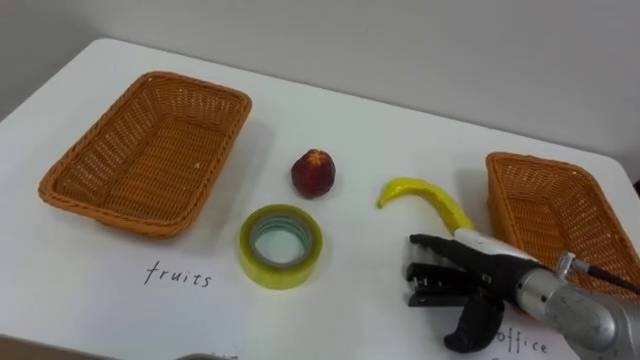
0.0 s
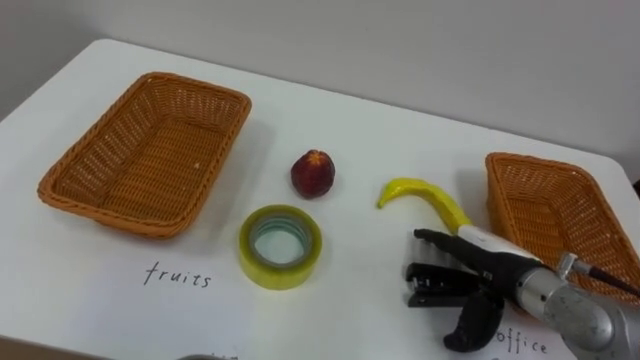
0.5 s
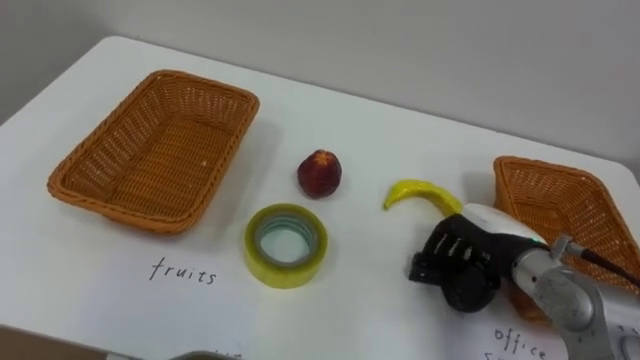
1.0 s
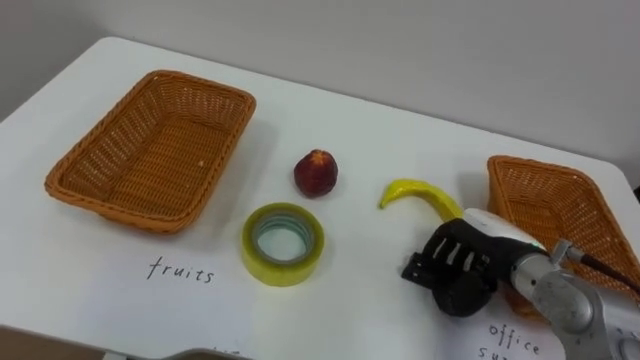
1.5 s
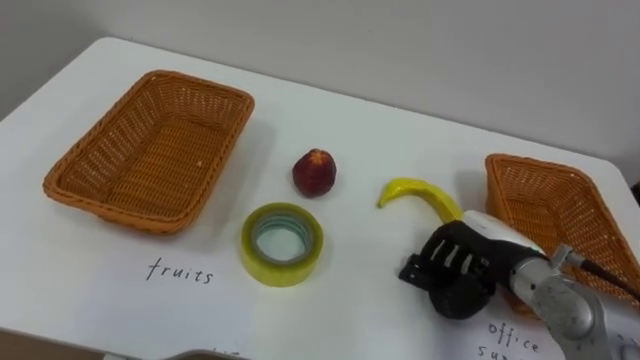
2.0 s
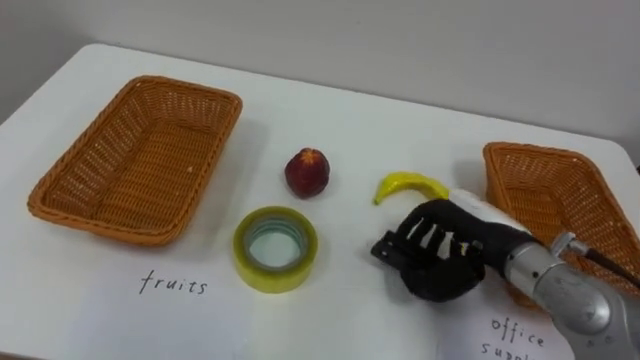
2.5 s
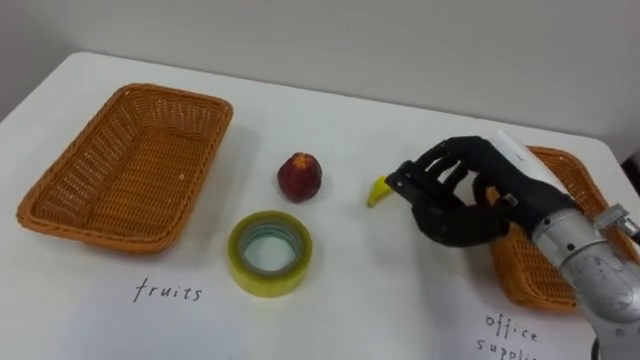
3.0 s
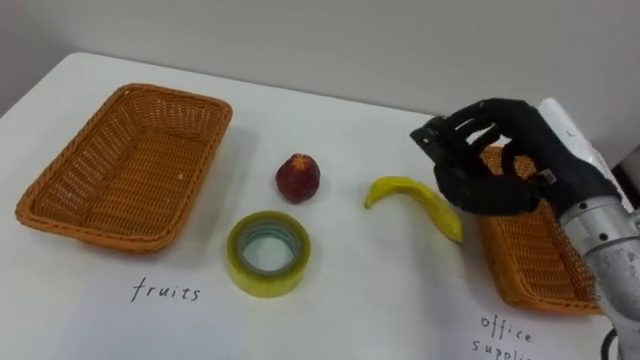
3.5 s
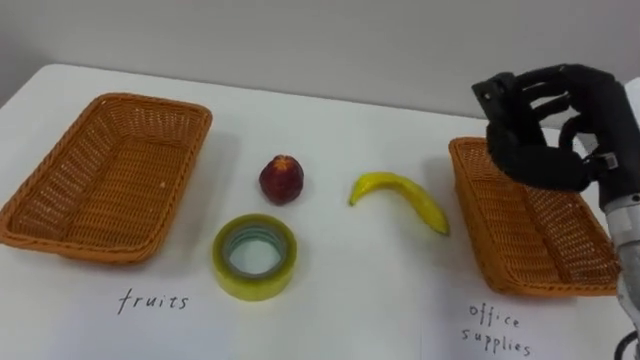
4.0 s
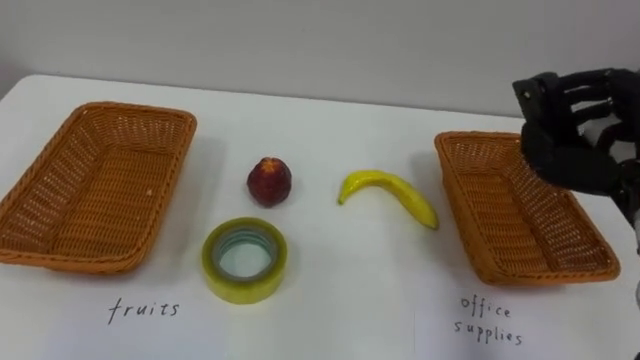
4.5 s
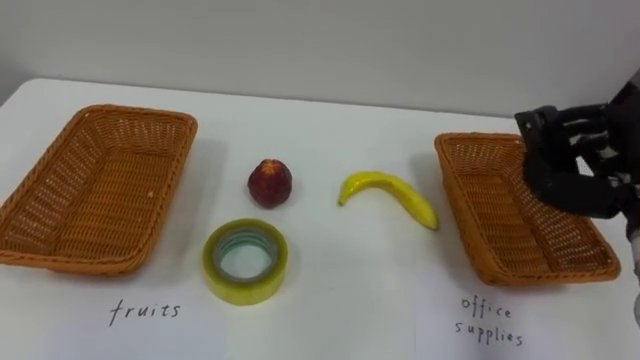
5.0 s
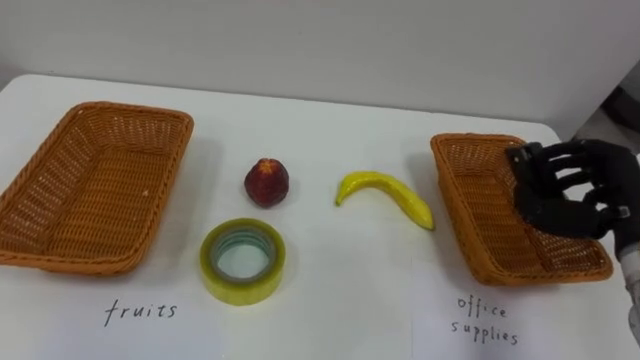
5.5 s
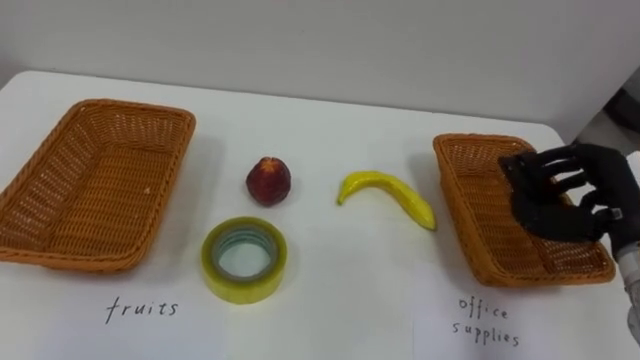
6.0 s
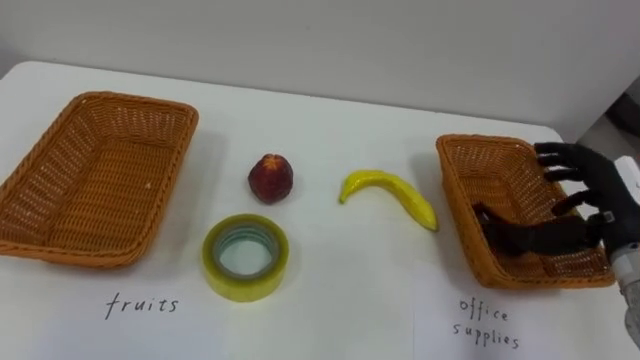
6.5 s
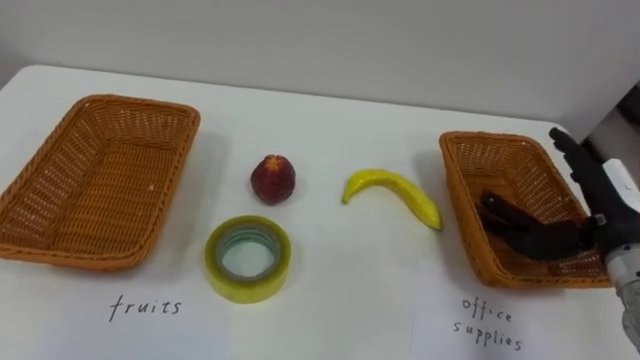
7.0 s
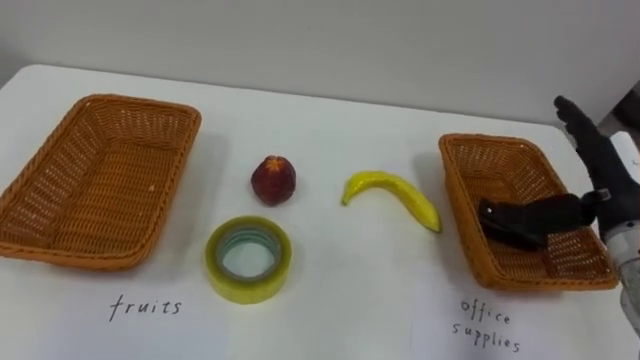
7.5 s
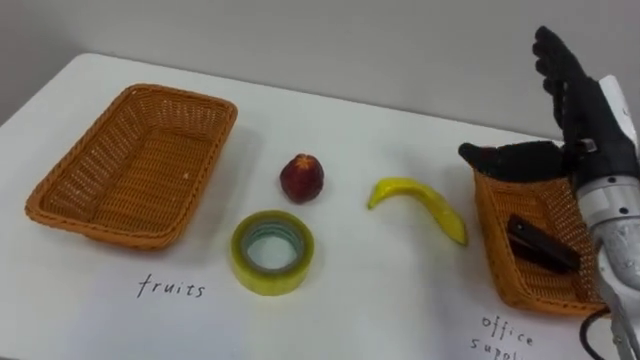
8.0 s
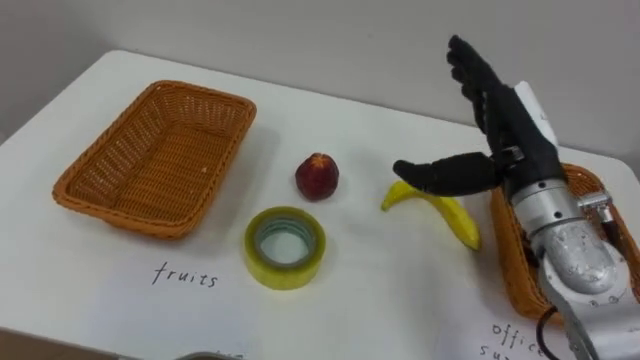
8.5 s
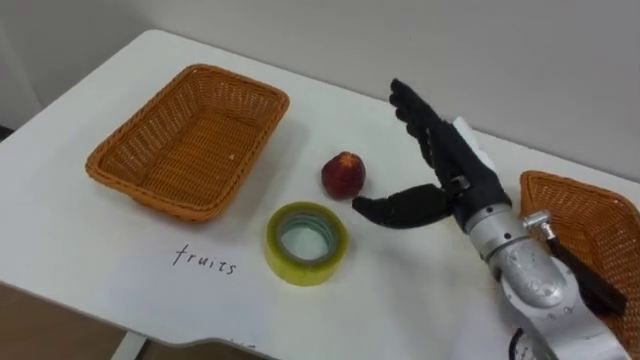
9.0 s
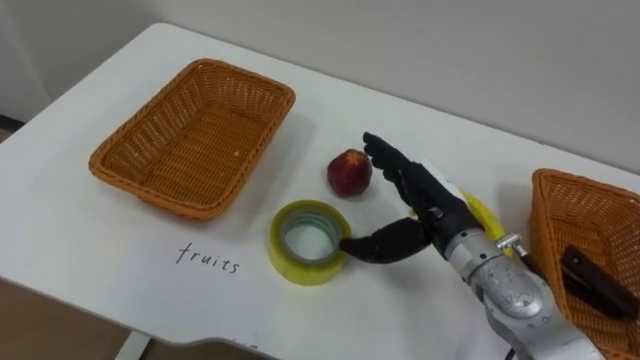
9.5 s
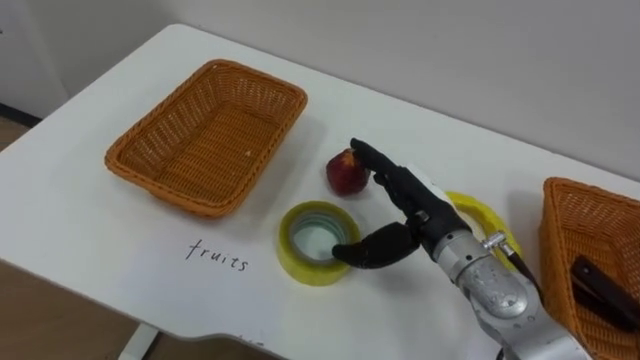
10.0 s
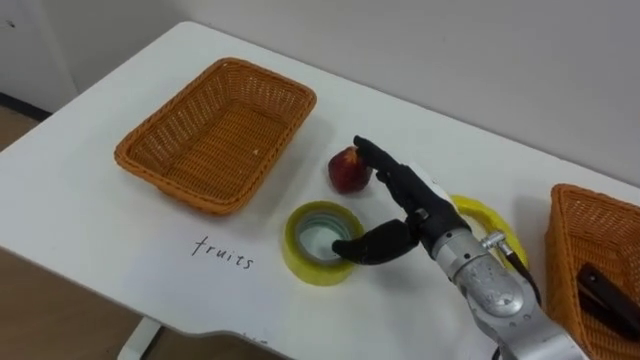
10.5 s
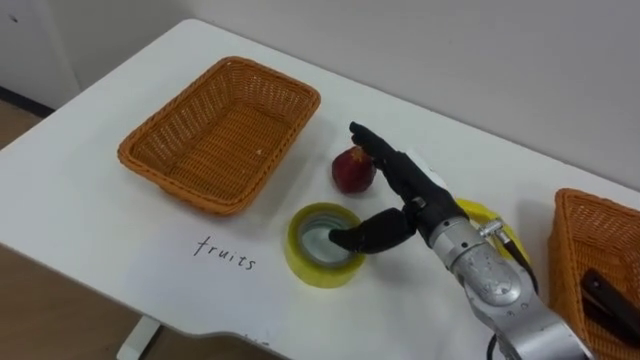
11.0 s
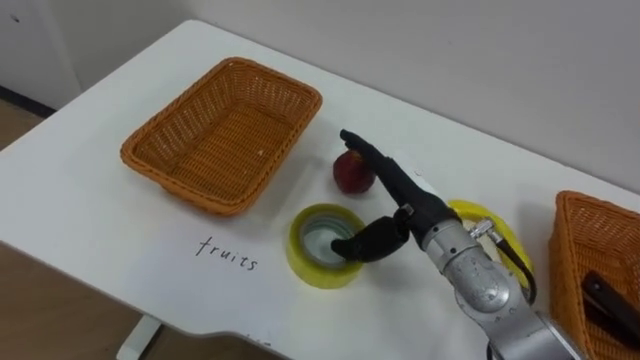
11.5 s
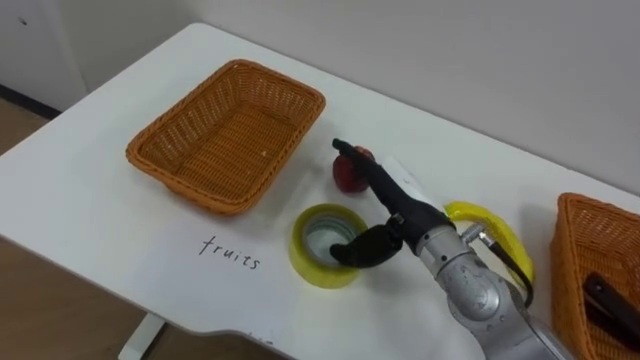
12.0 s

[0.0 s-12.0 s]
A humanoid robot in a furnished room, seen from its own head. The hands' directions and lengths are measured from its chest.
Task of the whole recording: Separate the items on the table and place them into the two baskets.
0.0 to 2.0 s: The right hand closes its fingers.
2.0 to 4.0 s: The right hand shifts roughly 15 cm upward and to the right.
6.0 to 8.0 s: The right hand heads upward and to the left, covering roughly 10 cm, and opens its fingers.
8.0 to 10.0 s: The right hand goes roughly 20 cm to the left and downward.

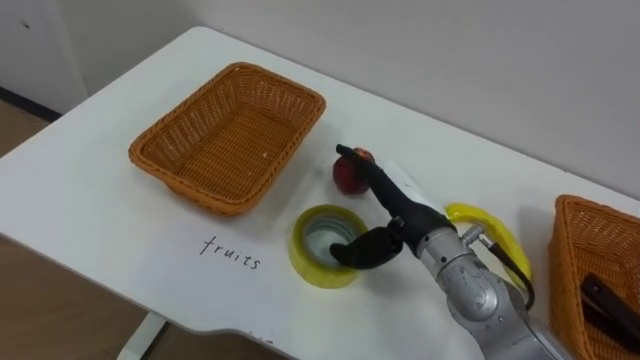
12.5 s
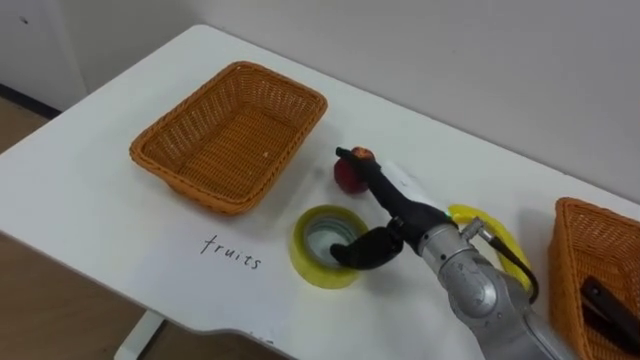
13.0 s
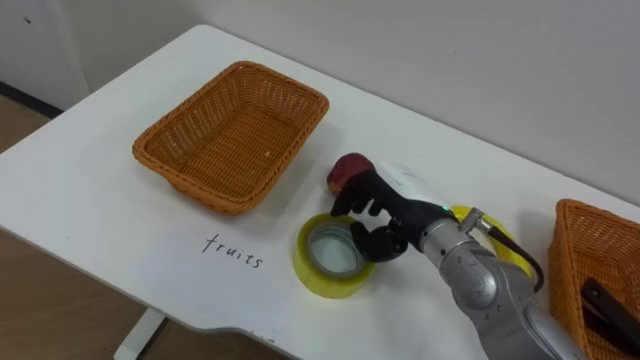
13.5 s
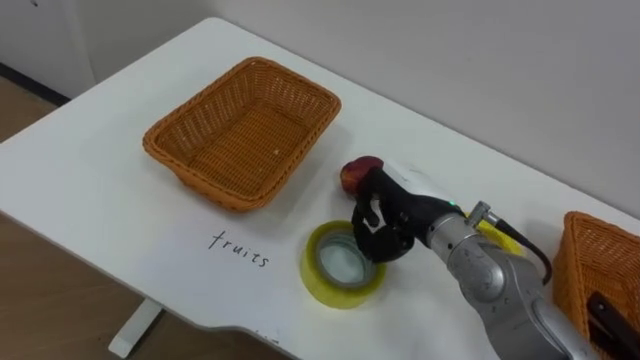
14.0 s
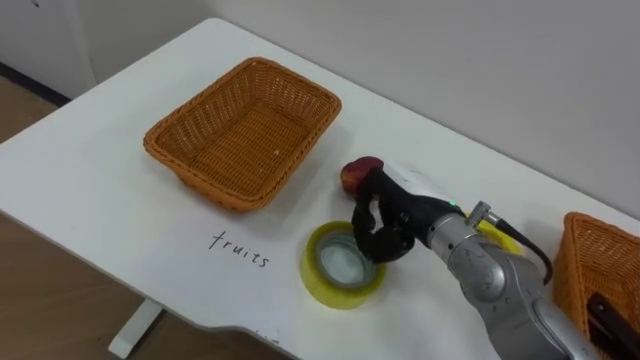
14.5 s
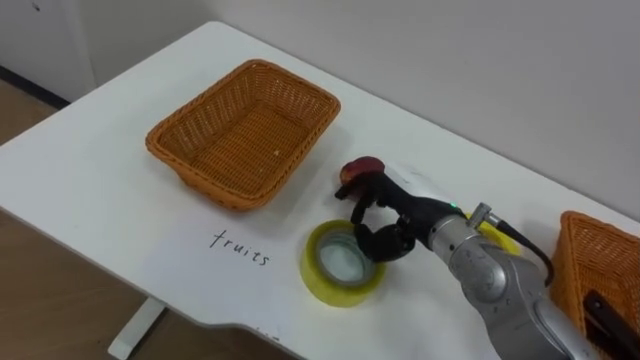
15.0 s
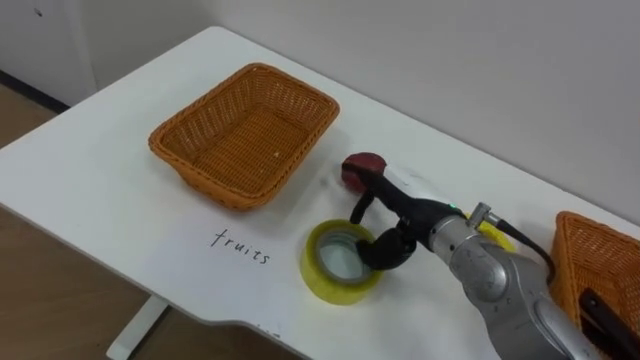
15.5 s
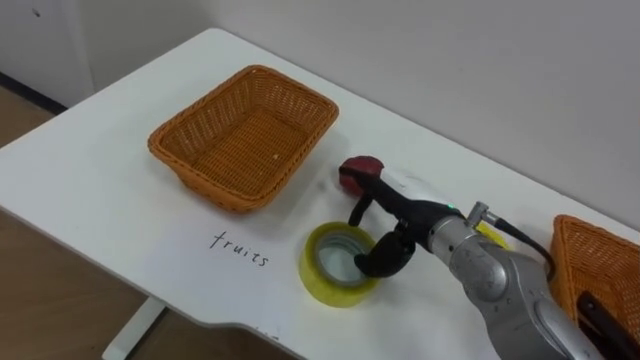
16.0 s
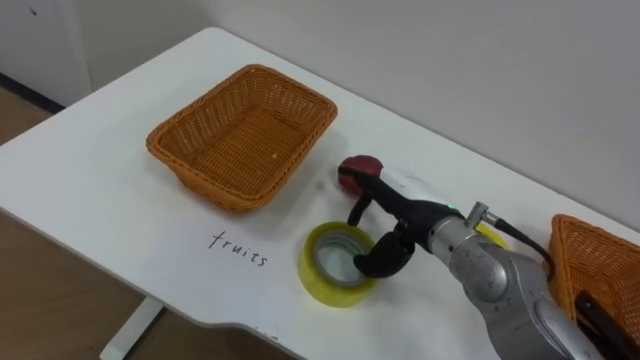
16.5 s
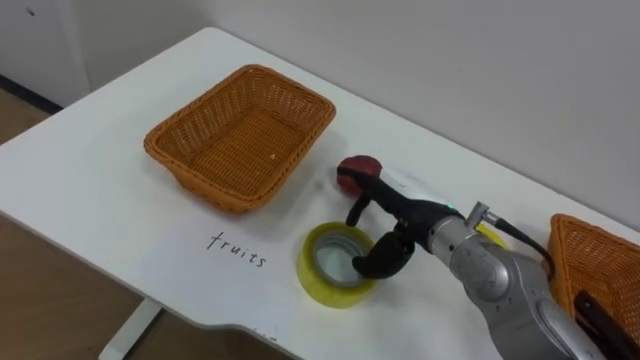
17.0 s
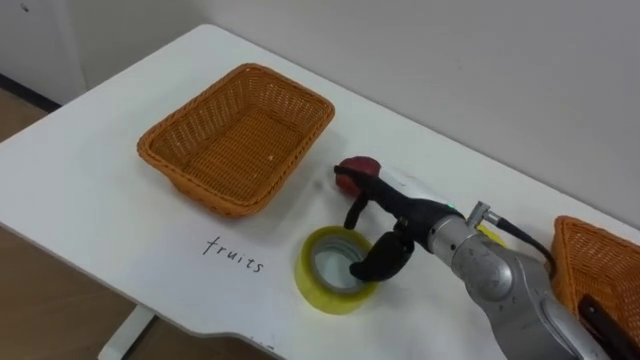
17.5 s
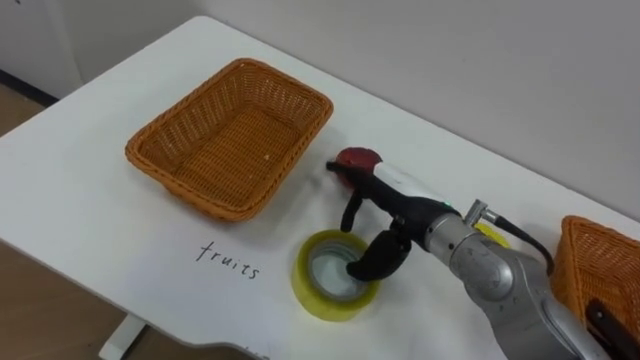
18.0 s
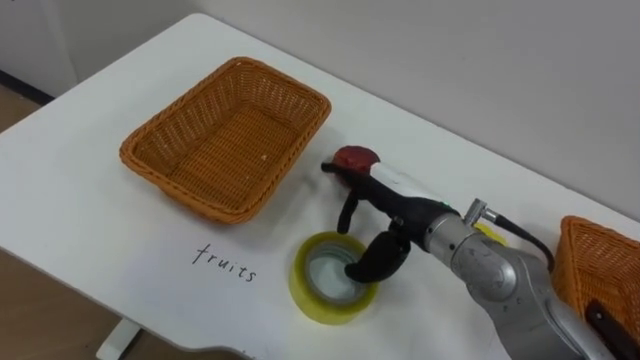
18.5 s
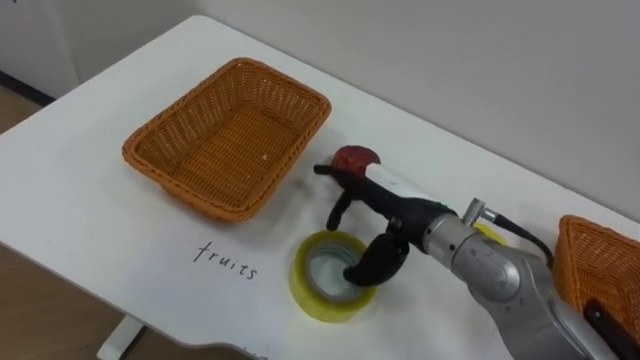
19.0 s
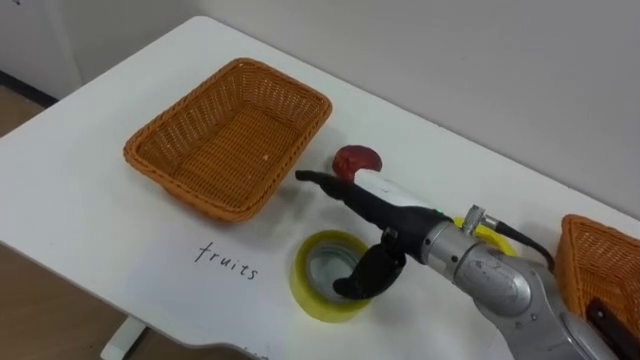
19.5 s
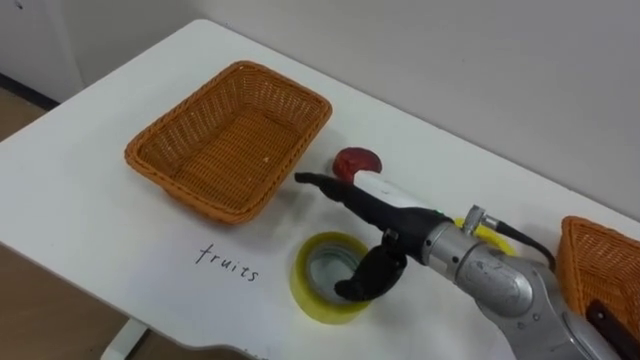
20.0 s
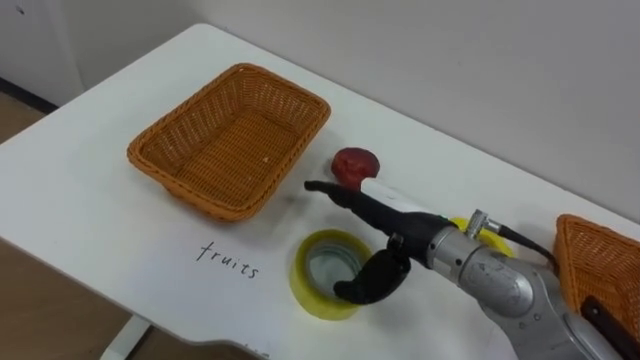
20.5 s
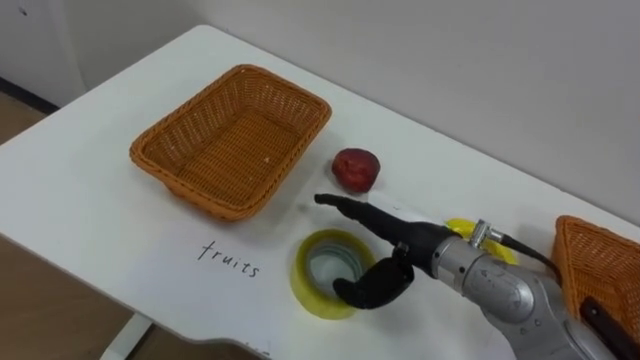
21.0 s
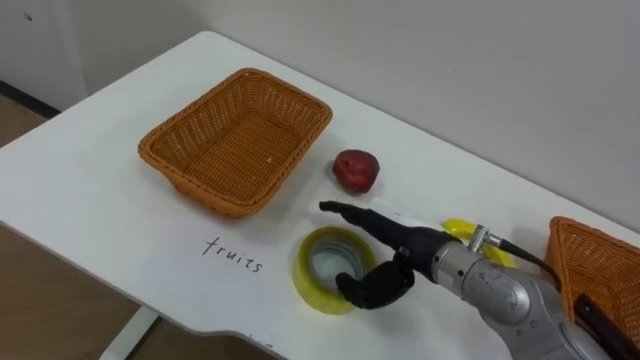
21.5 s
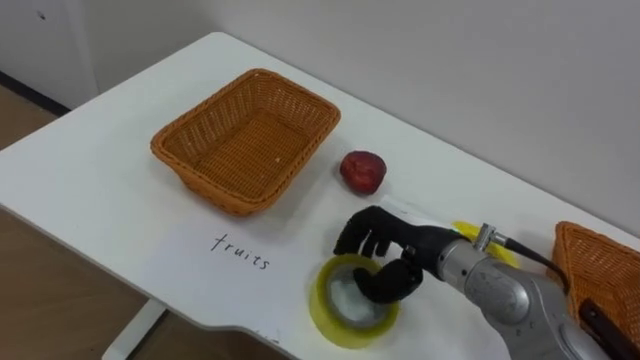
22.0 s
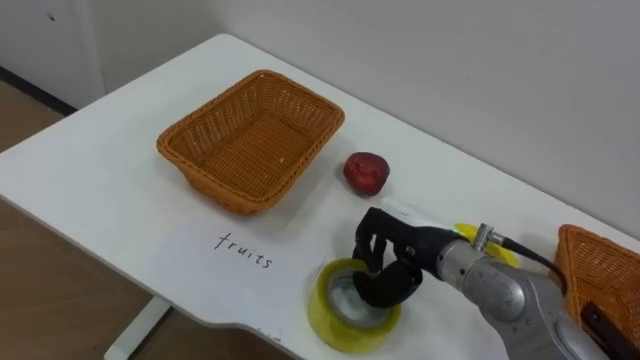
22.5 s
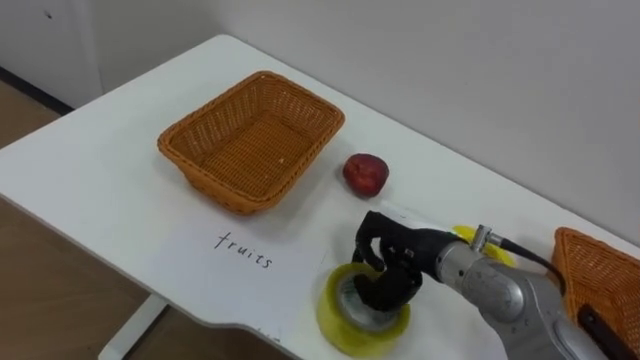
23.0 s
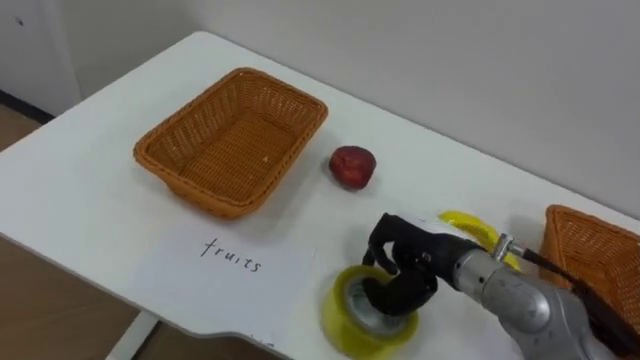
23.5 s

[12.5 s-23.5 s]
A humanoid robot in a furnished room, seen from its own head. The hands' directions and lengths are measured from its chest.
Task of the whole recording: Separate the items on the table and place them into the two baskets.
12.5 to 14.5 s: The right hand closes up.
14.5 to 16.0 s: The right hand opens.
20.0 to 21.5 s: The right hand changes place by approximately 5 cm.
21.5 to 23.5 s: The right hand closes up.
